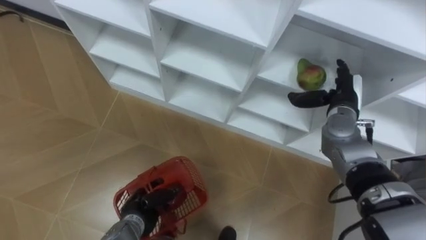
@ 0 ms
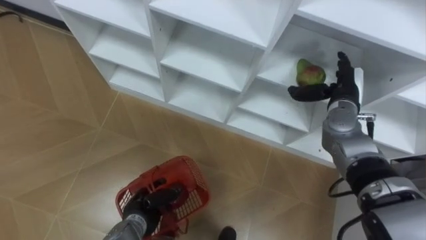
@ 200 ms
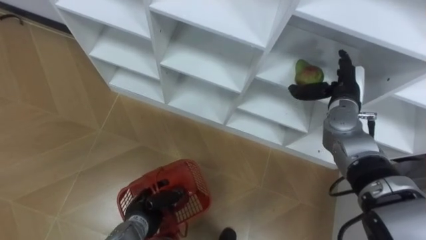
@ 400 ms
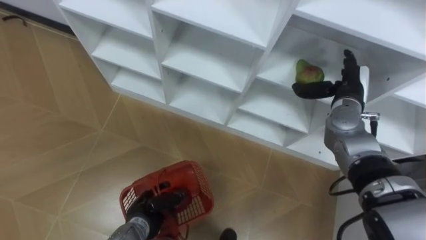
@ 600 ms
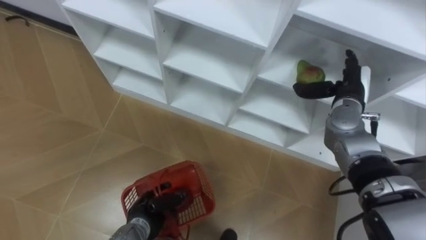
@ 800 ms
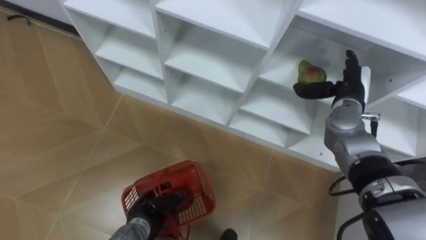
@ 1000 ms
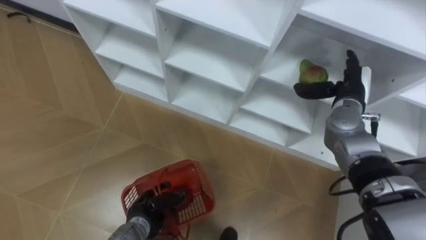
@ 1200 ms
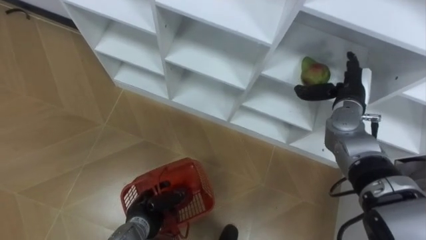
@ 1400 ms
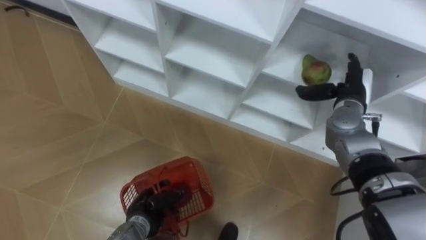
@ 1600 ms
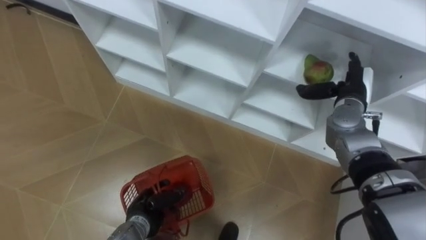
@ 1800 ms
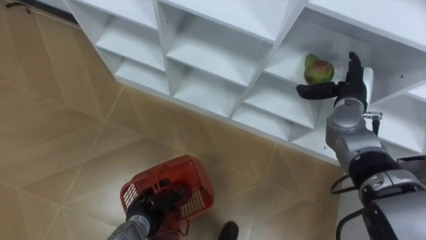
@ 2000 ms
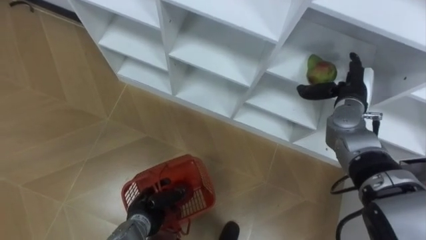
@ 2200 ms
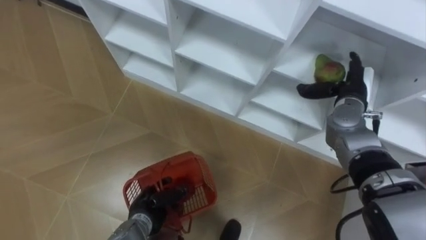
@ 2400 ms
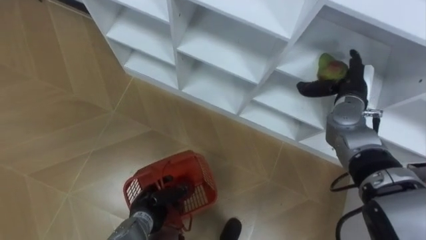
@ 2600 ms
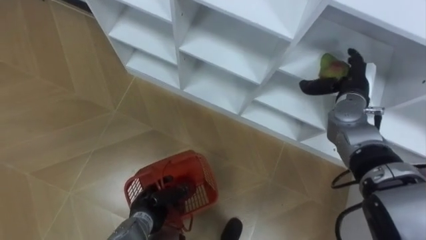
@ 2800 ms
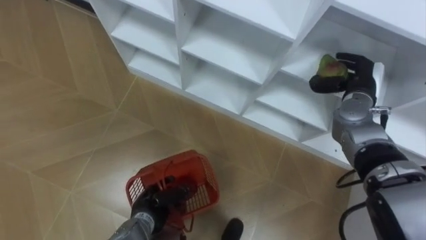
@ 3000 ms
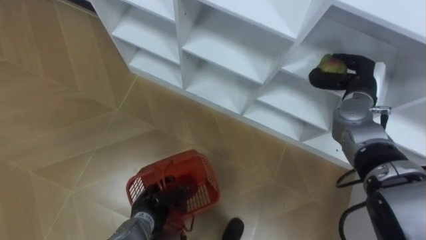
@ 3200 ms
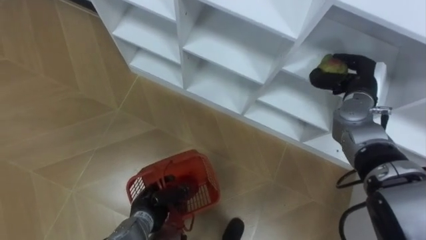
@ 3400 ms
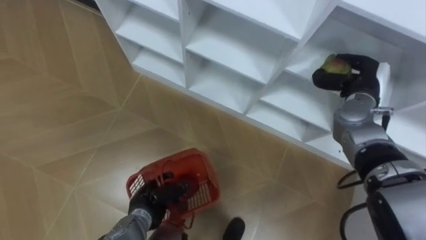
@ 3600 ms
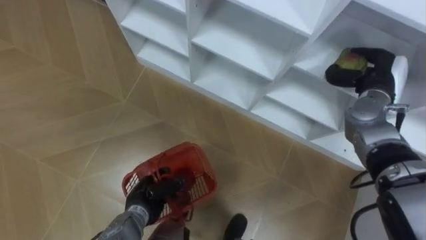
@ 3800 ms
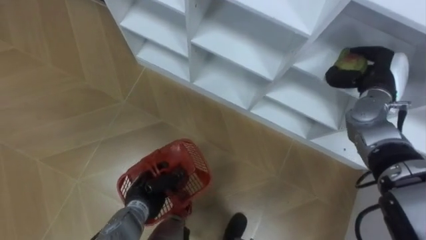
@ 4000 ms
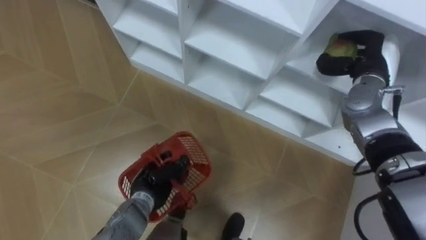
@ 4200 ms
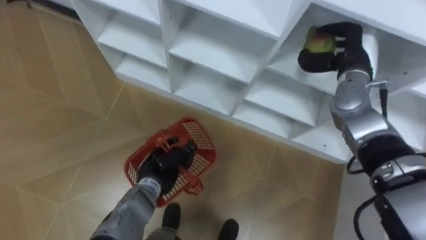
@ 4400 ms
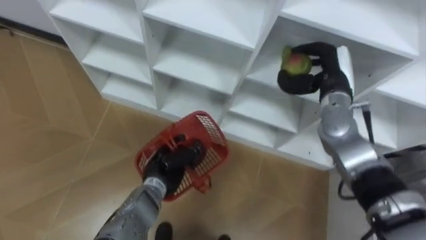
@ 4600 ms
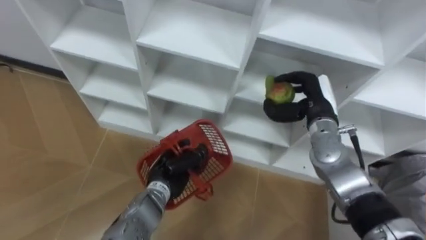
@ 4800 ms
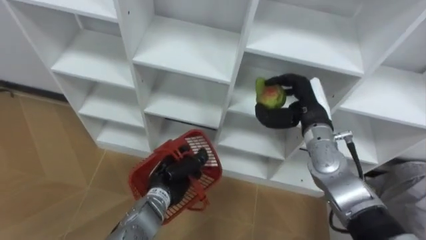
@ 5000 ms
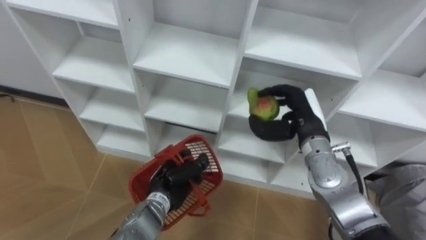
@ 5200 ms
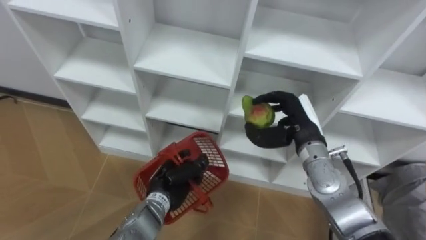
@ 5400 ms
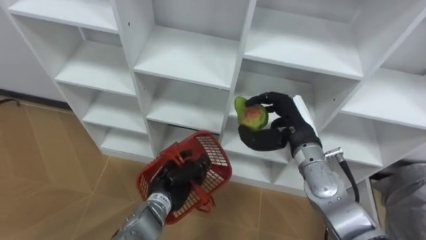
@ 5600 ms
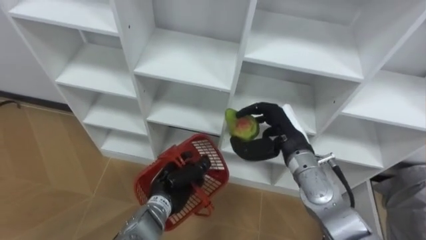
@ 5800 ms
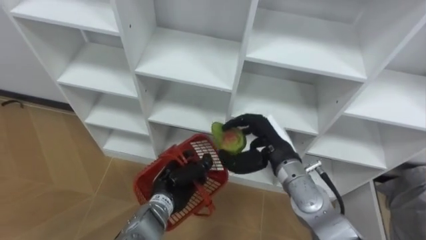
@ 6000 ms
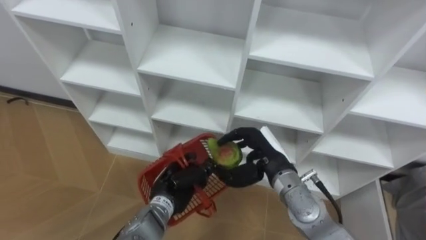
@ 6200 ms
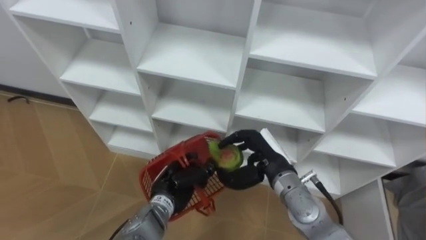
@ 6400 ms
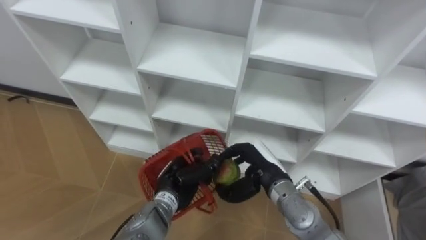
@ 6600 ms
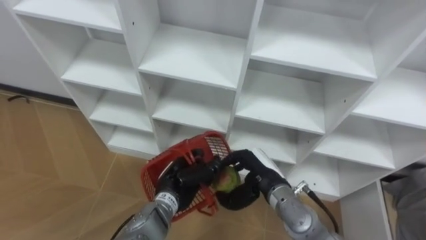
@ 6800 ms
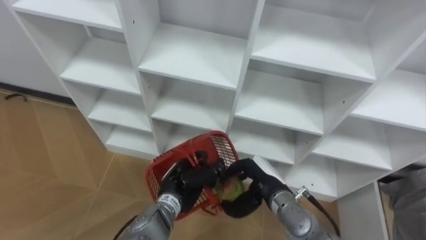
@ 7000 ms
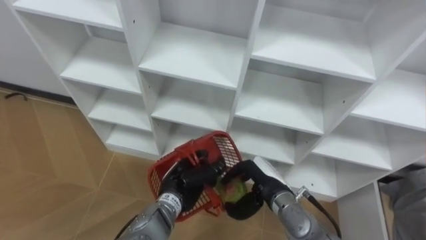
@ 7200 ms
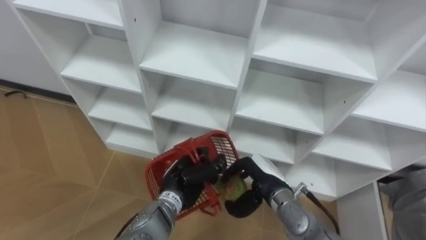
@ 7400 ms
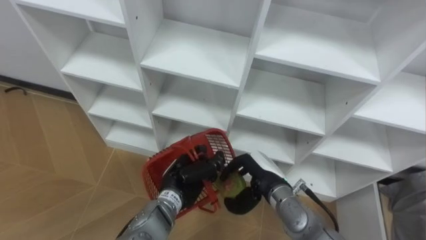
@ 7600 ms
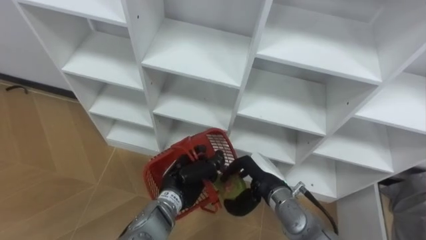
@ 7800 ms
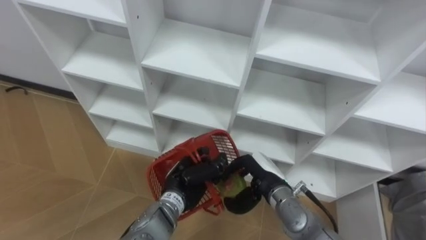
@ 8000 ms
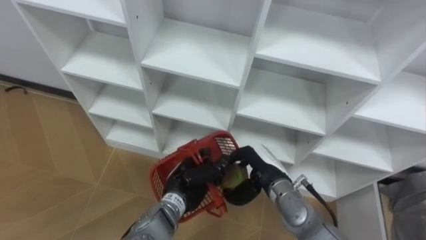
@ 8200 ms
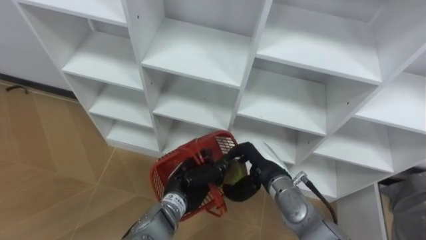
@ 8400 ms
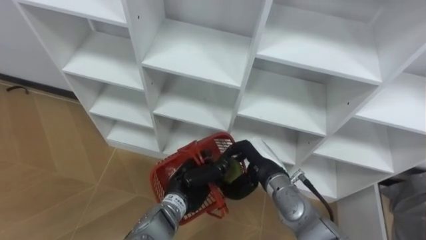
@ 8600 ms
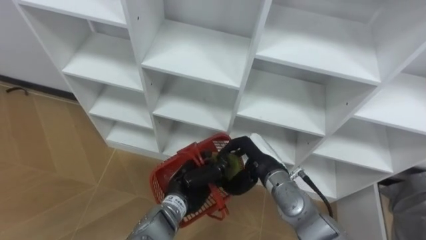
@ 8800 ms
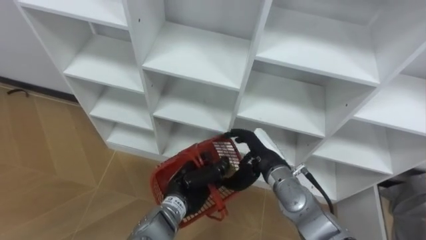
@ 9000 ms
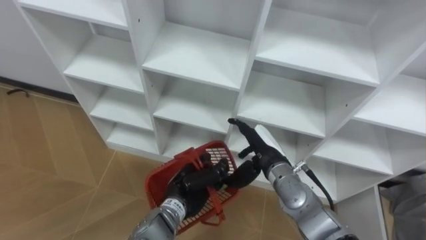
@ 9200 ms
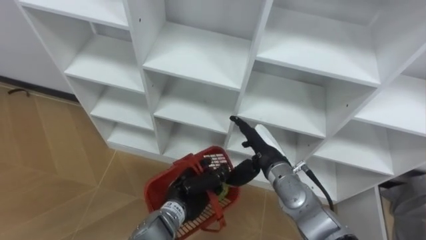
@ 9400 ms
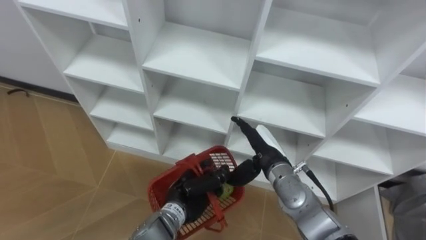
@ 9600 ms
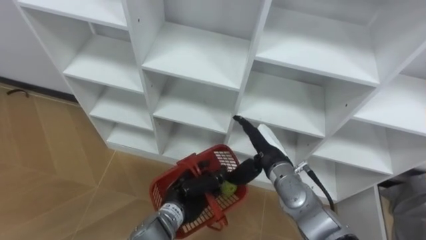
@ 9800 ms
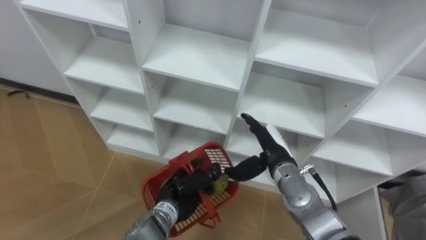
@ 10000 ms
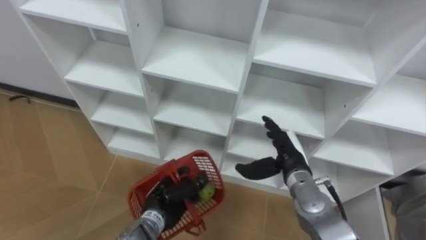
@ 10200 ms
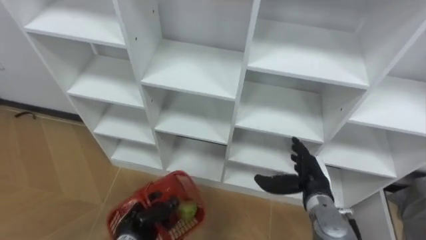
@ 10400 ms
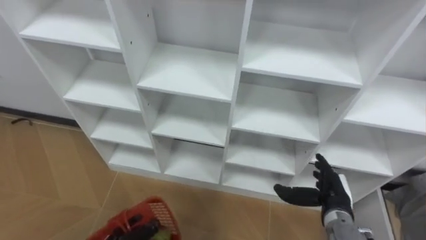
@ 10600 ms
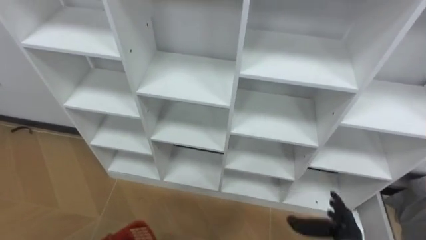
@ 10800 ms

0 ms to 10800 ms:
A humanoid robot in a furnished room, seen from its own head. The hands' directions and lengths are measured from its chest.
Task of the whole recording: Hold the basket and collect the fruits from 3 different cells of the closet into it.
1600 ms to 3000 ms: The right hand closes up.
3000 ms to 4600 ms: The right hand heads to the left, covering approximately 5 cm; the left hand goes some 10 cm upward and forward.
4600 ms to 6200 ms: The right hand goes roughly 20 cm backward, to the left and downward.
6200 ms to 7800 ms: The right hand shifts about 5 cm downward.
7800 ms to 9200 ms: The right hand changes place by about 5 cm, and opens its fingers.
9200 ms to 10800 ms: The right hand heads to the right, backward and downward, covering approximately 20 cm.

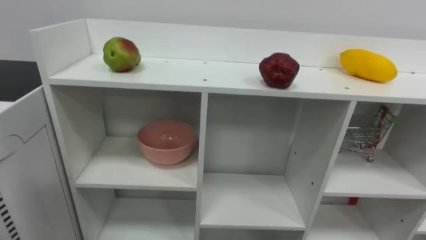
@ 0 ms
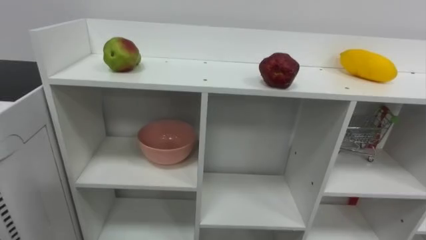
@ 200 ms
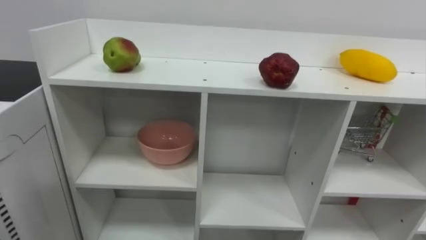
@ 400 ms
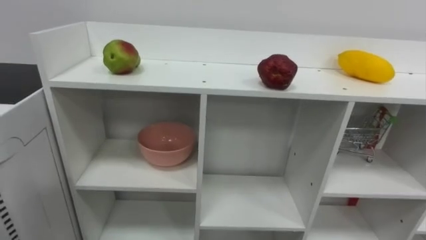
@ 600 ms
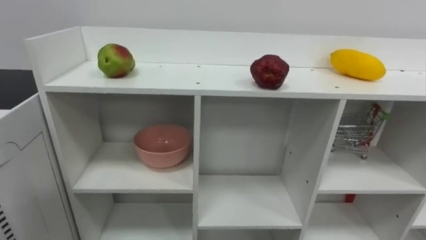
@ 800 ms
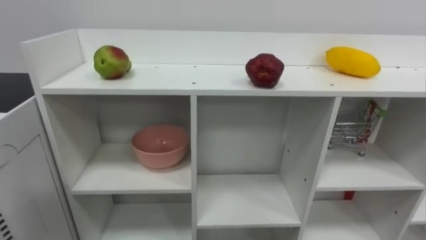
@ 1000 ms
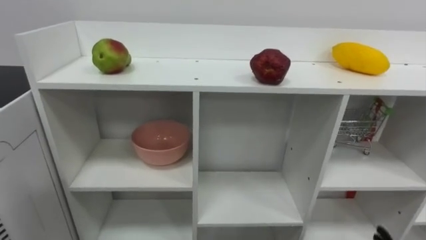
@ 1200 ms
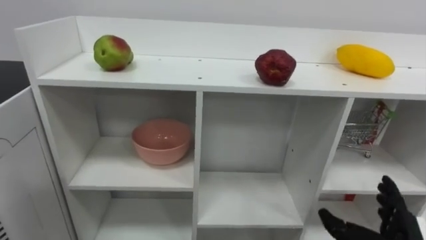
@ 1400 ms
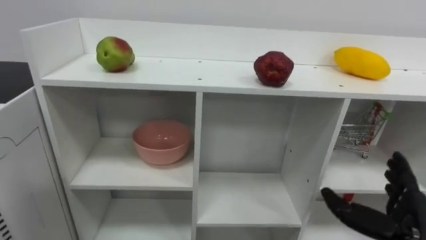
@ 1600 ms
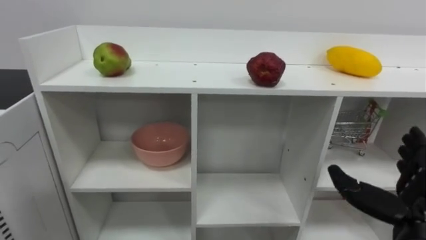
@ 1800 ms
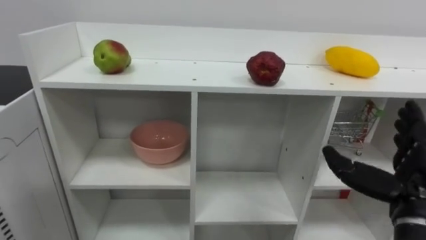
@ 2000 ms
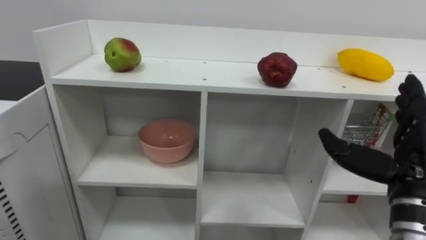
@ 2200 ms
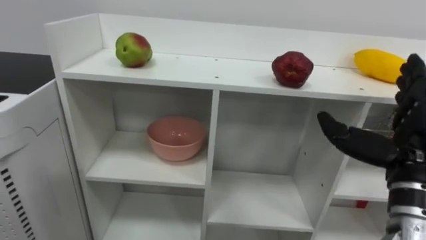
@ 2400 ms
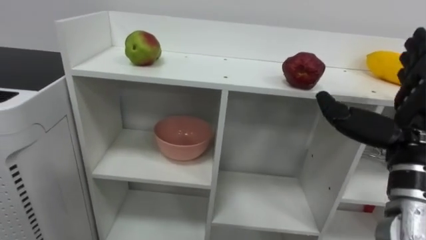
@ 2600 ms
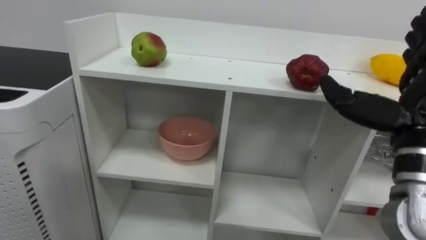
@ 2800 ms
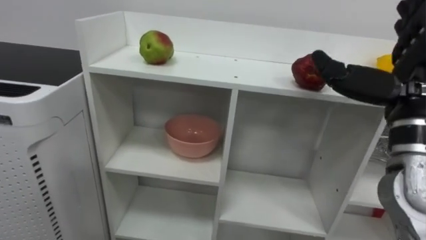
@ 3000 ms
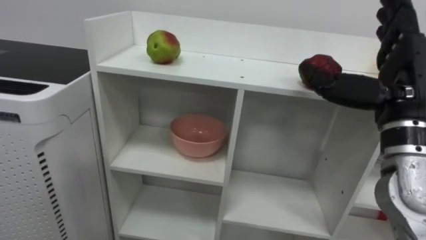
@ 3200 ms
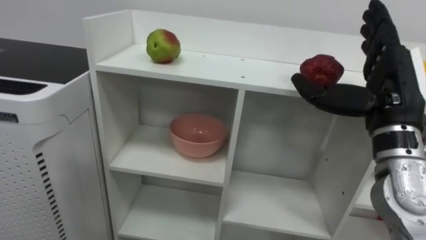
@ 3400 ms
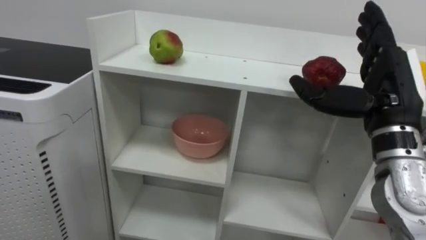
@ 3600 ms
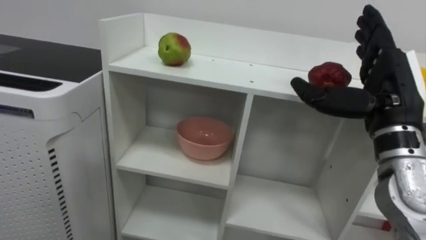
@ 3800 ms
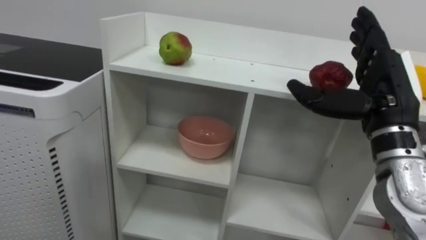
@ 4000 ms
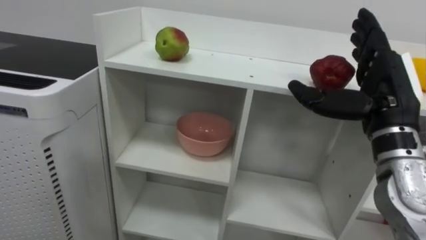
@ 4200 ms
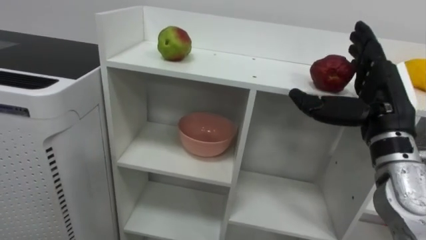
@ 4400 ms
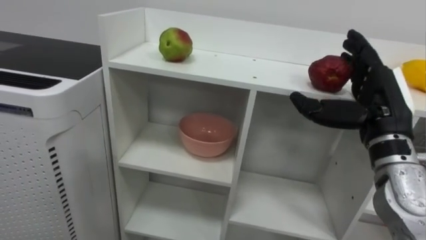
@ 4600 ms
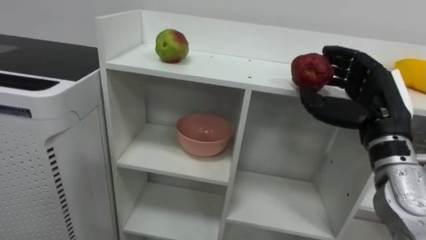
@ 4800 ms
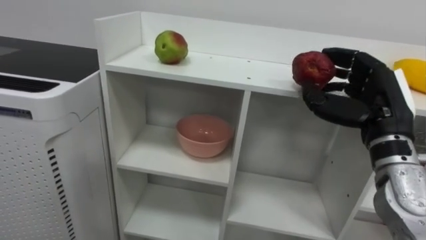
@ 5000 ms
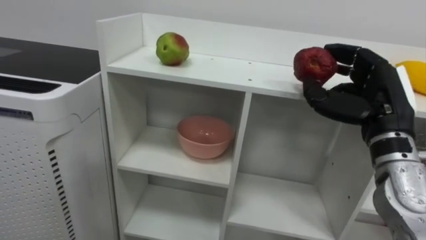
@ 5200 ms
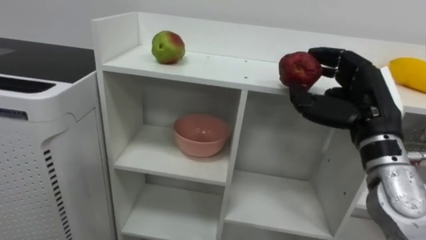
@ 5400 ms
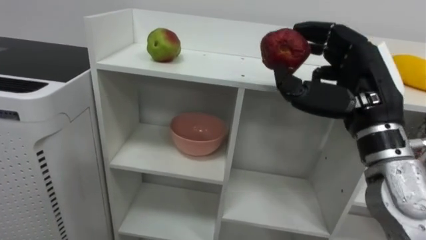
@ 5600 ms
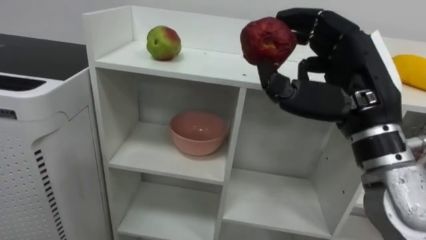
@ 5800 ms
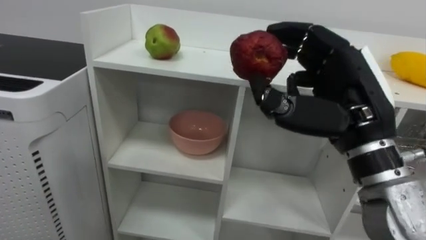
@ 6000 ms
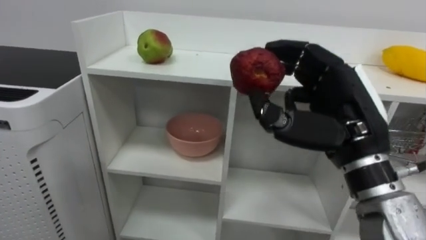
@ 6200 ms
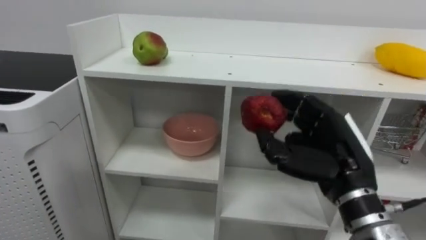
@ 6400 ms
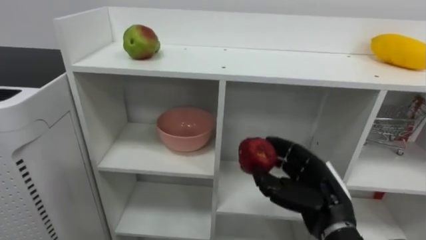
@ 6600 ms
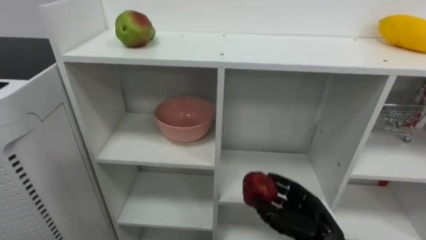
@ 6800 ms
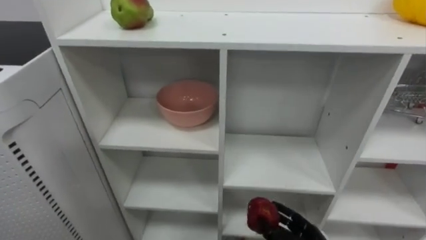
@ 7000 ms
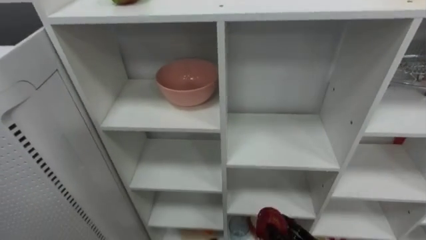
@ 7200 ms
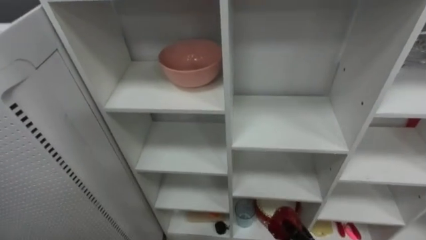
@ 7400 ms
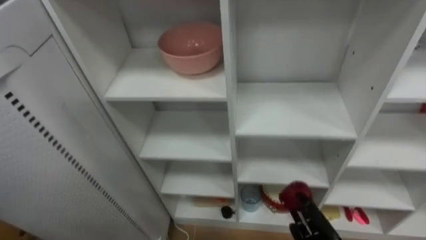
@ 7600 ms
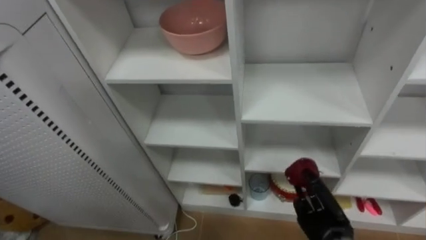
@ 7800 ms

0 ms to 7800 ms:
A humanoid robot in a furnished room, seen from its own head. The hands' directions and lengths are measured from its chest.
Task of the whole recording: Put the apple in the cell in the second column from the left and the second row from the top.
1600 ms to 3200 ms: The right hand shifts about 20 cm upward.
3200 ms to 4600 ms: The right hand shifts by some 5 cm.
4600 ms to 6200 ms: The right hand shifts about 10 cm to the left and backward, and closes up.
